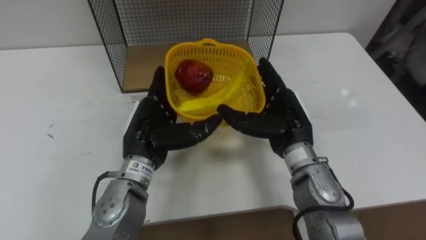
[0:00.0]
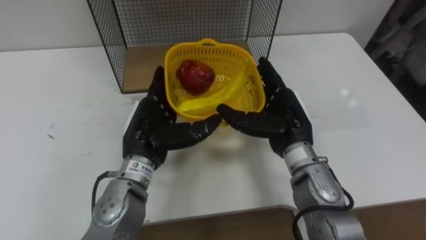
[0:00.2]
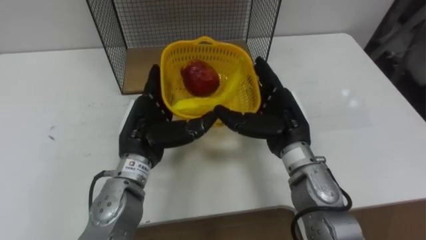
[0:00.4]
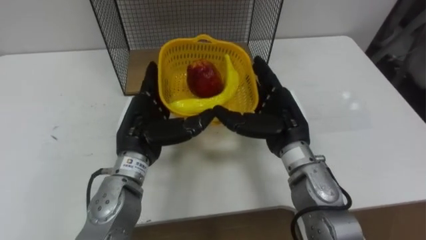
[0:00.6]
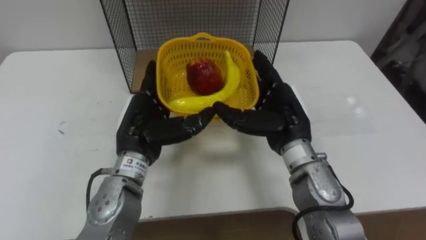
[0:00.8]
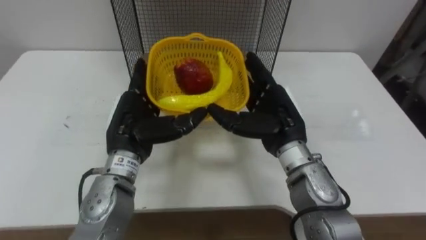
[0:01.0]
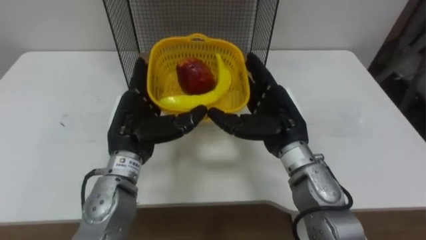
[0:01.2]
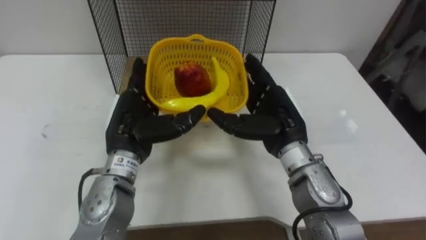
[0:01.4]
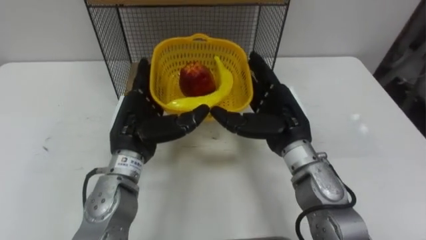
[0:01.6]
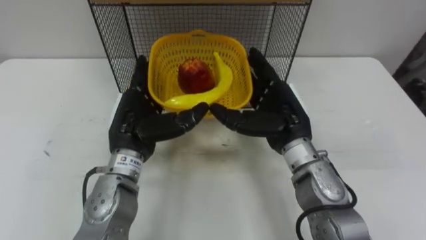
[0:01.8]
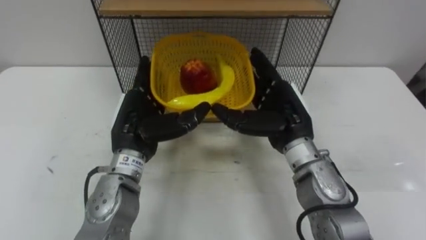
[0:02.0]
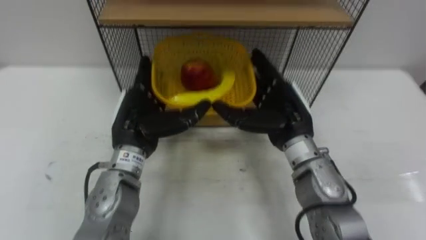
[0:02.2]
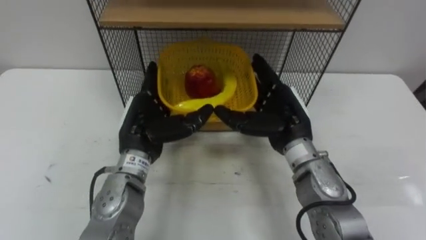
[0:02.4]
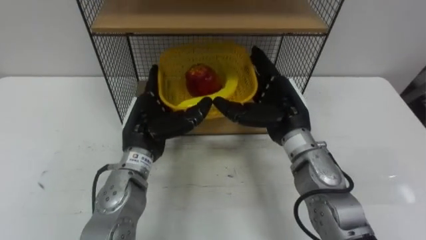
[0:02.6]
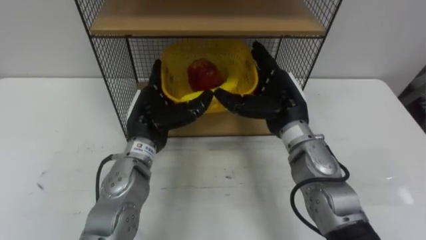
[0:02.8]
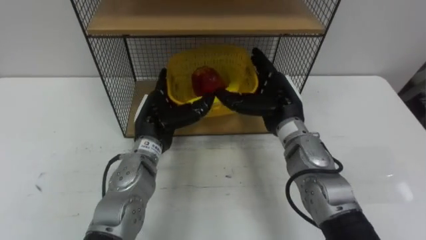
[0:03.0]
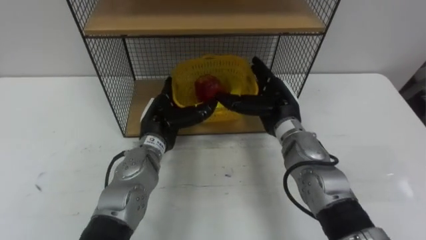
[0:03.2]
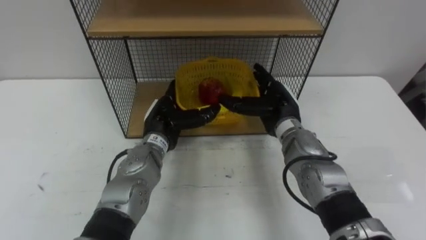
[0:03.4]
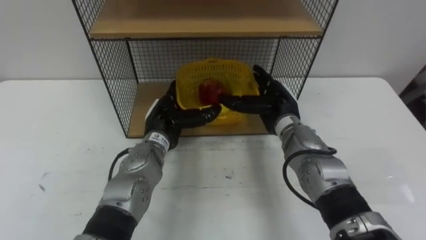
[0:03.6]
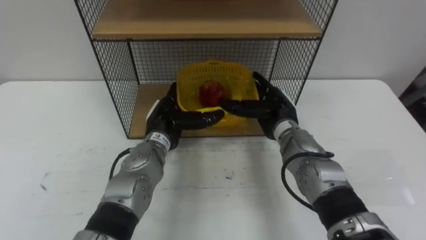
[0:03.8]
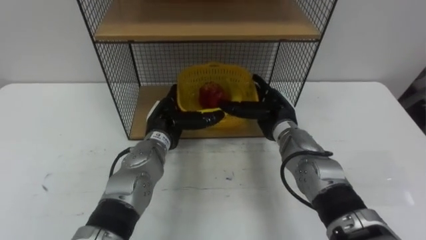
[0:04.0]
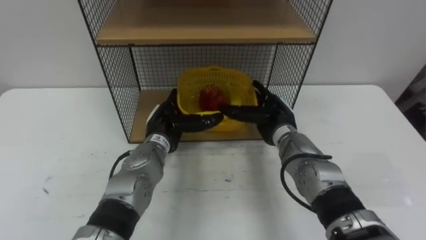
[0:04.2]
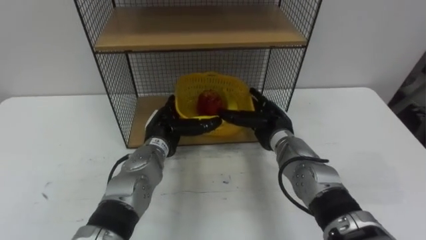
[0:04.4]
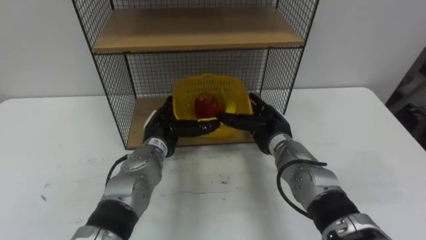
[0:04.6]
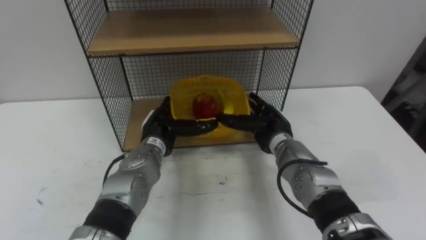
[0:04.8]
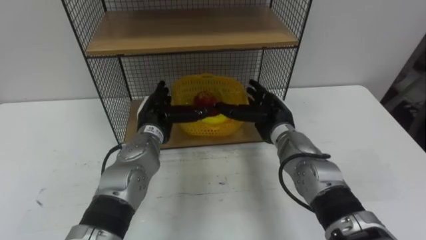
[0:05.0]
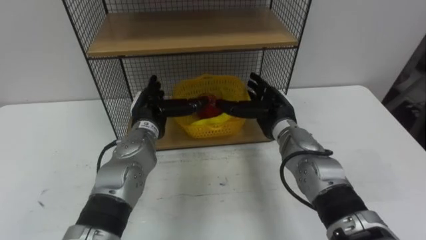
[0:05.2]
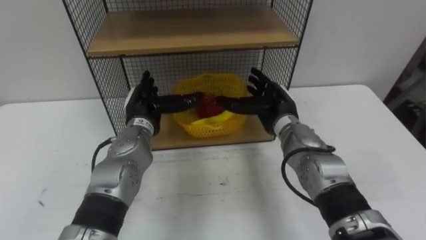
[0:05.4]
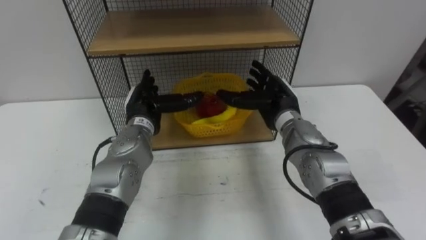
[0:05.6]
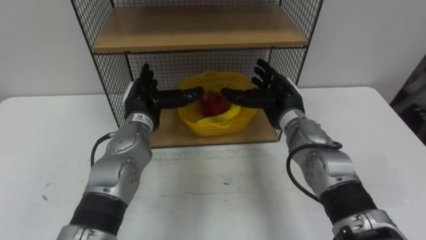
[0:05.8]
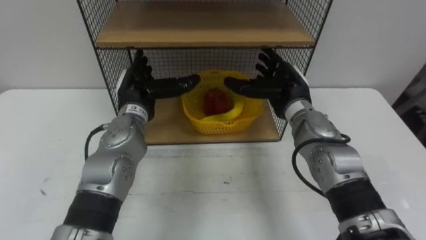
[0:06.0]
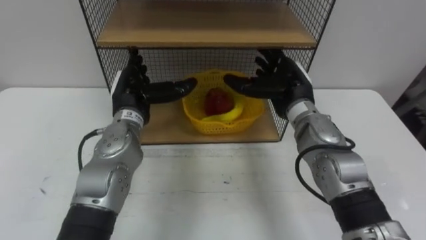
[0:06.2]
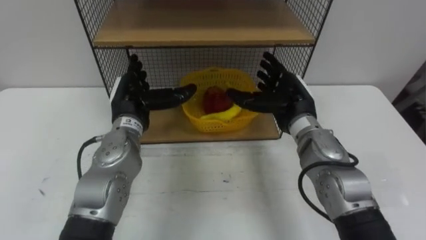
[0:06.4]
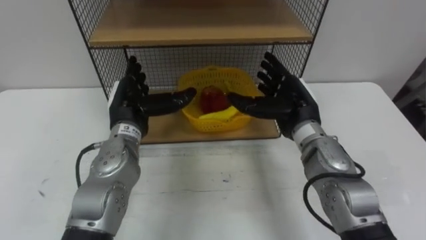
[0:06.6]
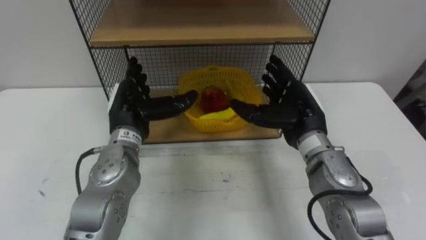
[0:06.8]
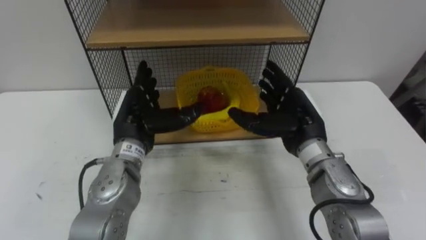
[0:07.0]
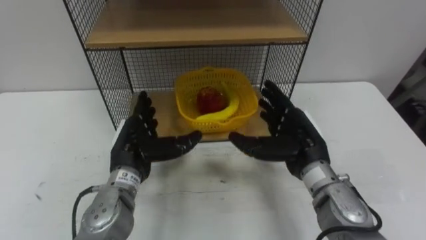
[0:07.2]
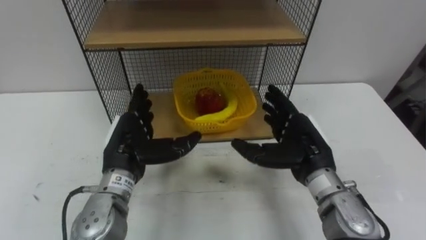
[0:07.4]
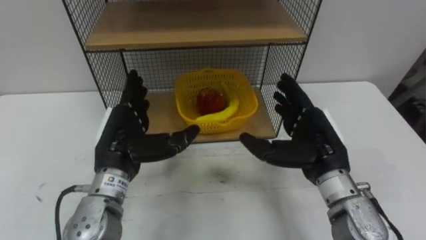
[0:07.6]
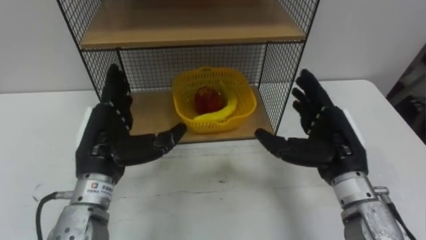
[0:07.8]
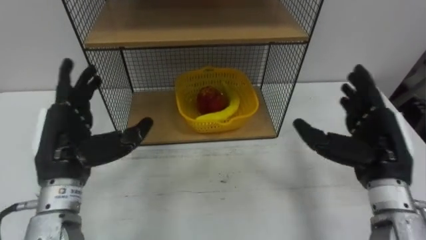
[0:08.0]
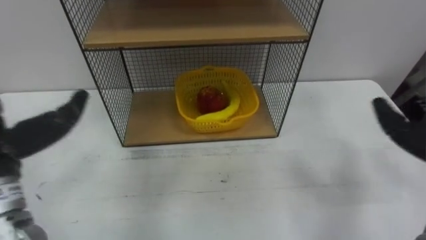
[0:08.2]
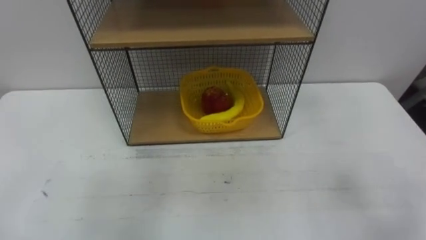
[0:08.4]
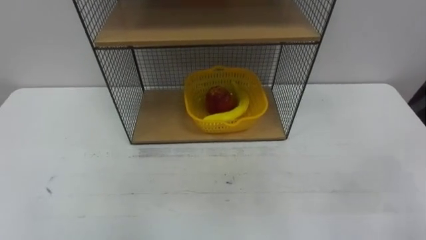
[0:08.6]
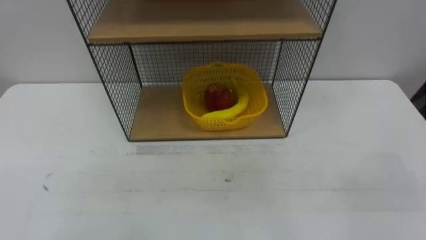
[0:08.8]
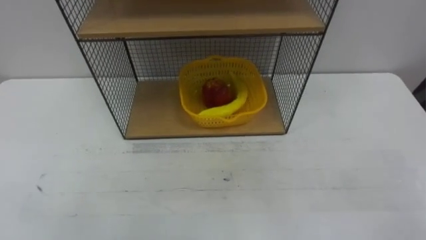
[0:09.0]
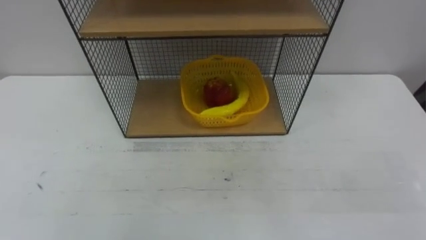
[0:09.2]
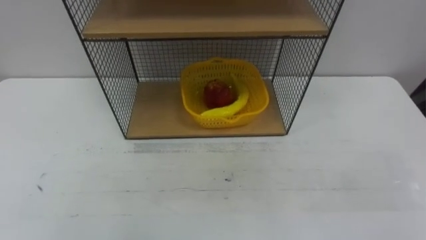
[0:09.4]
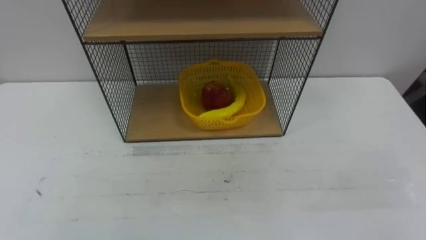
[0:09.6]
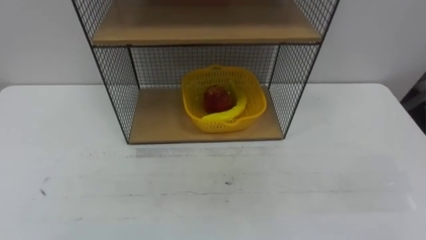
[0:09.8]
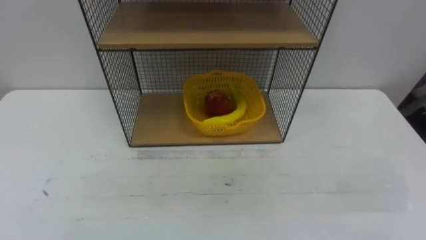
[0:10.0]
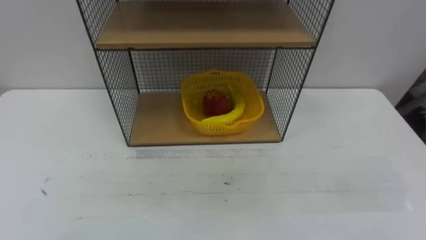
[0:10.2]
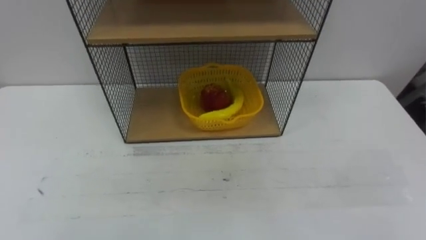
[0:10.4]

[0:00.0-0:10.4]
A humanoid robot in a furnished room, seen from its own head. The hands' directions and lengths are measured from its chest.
Task of the whole recording: Put the fruit on the table into the basket, then place the basket on the shelf.
0:01.4 to 0:03.0: The left hand shifts by some 5 cm.
0:03.0 to 0:04.4: The two hands go roughly 5 cm downward.
0:04.4 to 0:06.0: The hands both shift upward by some 10 cm.
0:06.0 to 0:07.4: The hands both shift backward by approximately 10 cm.

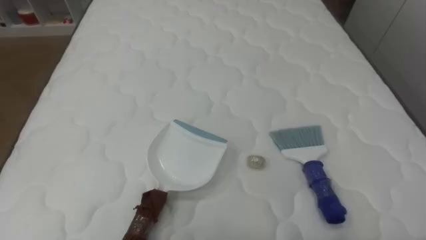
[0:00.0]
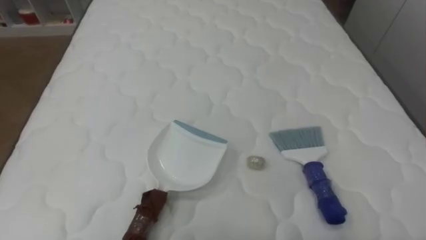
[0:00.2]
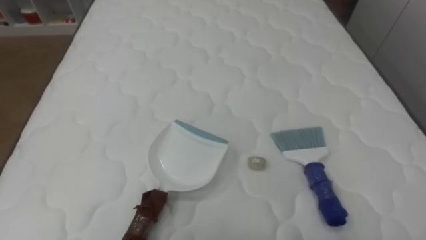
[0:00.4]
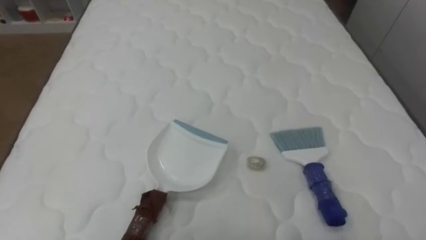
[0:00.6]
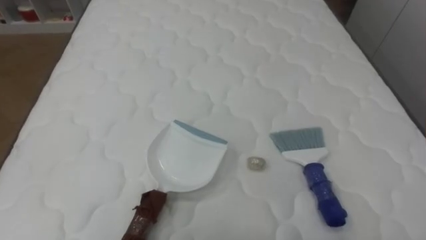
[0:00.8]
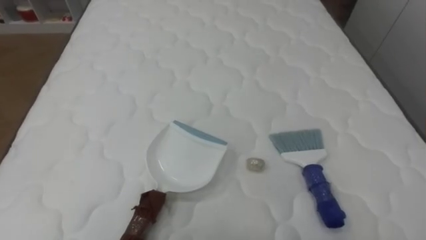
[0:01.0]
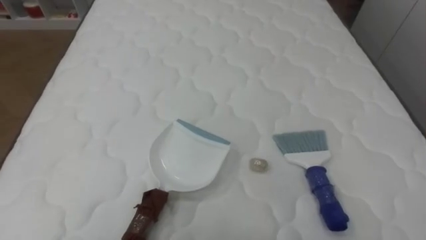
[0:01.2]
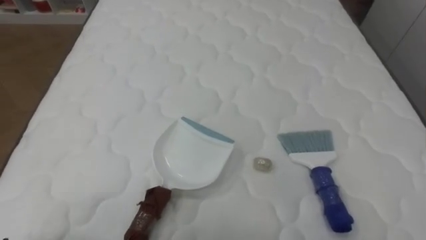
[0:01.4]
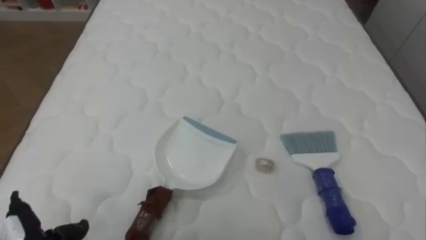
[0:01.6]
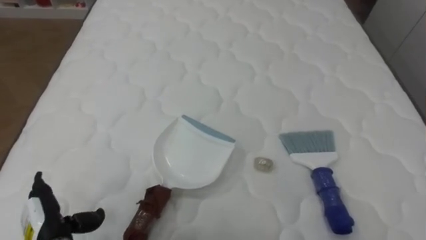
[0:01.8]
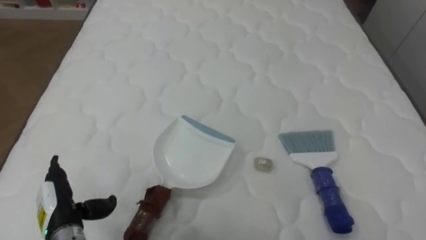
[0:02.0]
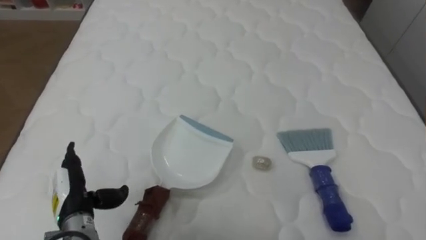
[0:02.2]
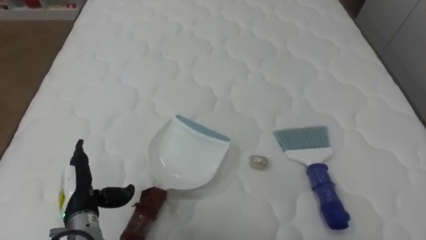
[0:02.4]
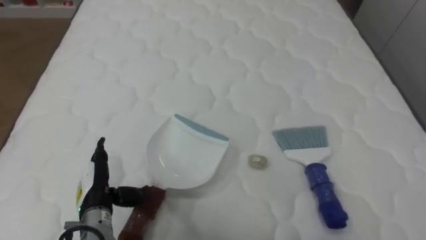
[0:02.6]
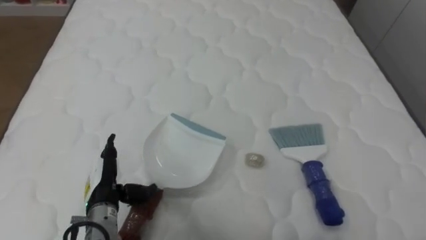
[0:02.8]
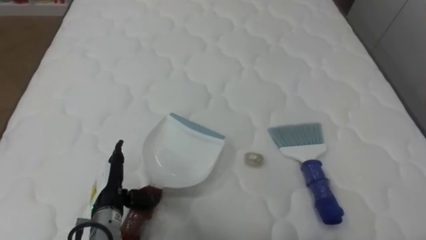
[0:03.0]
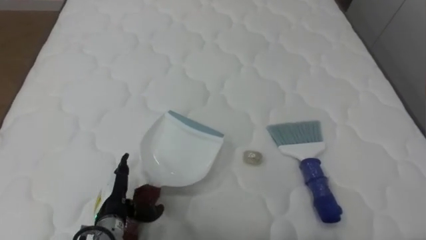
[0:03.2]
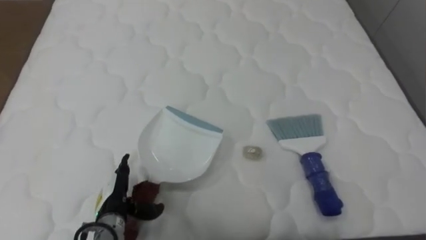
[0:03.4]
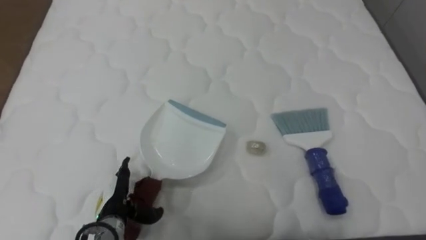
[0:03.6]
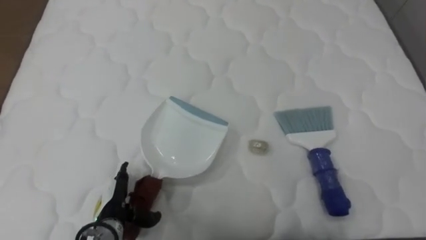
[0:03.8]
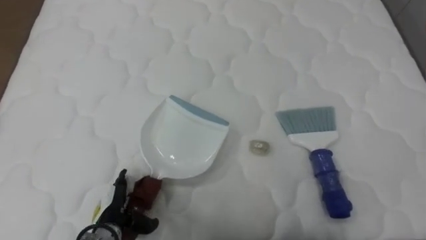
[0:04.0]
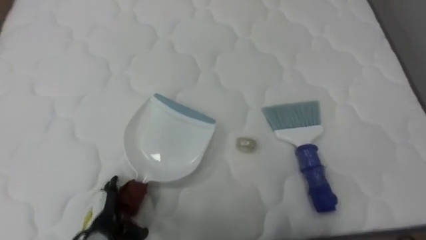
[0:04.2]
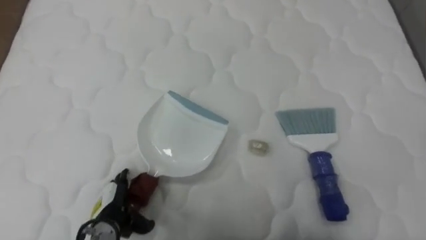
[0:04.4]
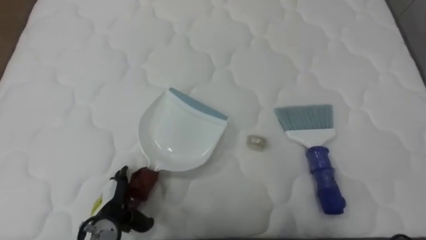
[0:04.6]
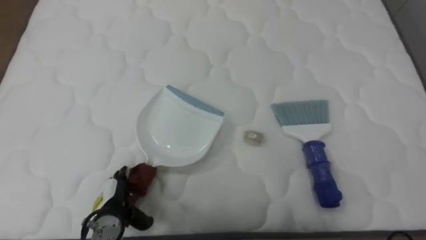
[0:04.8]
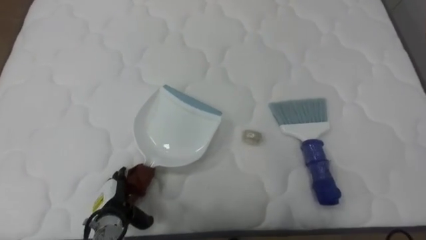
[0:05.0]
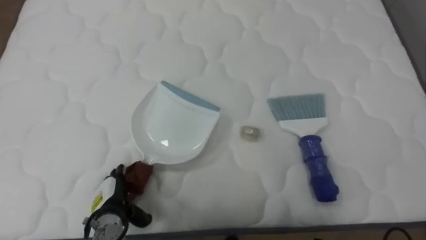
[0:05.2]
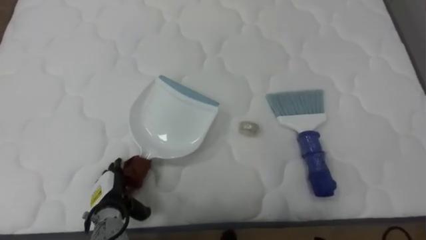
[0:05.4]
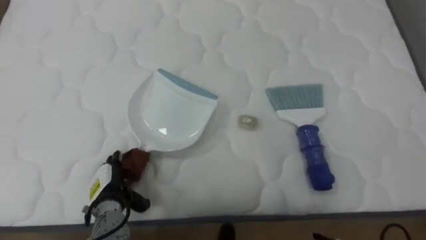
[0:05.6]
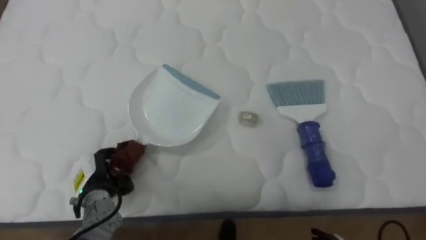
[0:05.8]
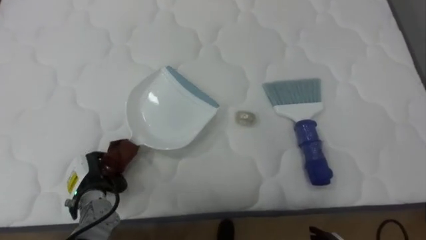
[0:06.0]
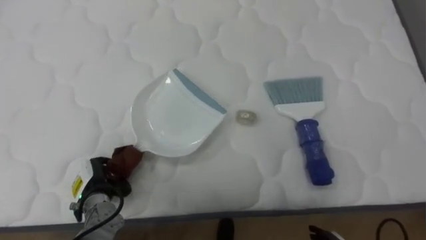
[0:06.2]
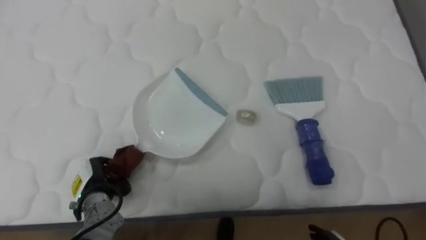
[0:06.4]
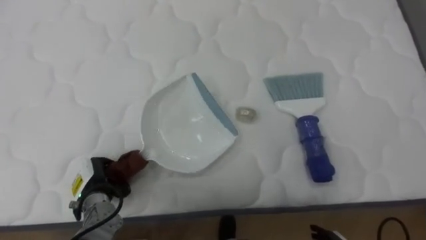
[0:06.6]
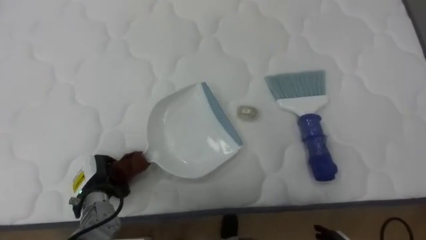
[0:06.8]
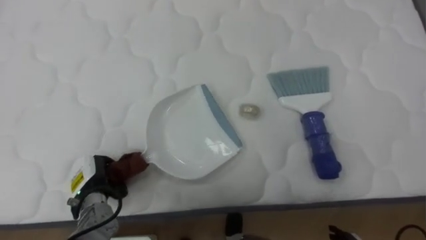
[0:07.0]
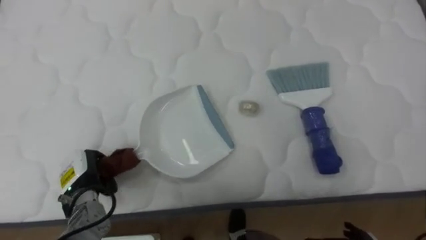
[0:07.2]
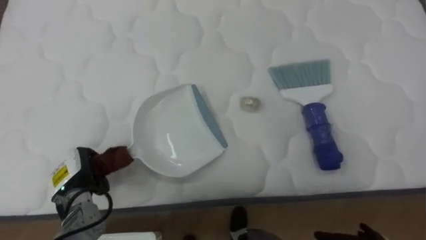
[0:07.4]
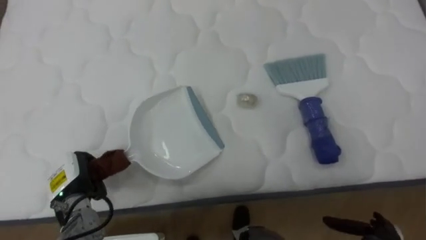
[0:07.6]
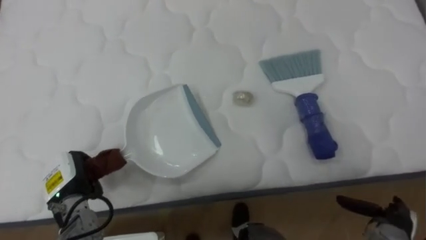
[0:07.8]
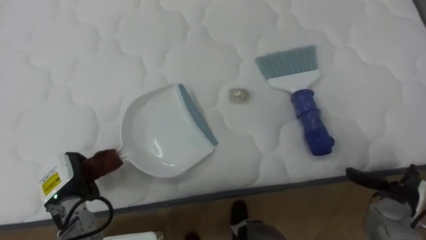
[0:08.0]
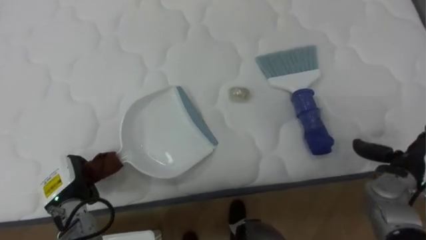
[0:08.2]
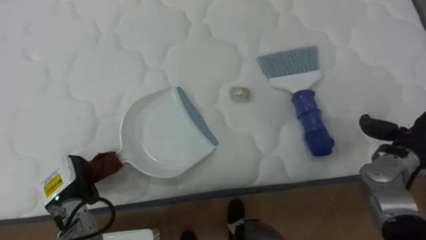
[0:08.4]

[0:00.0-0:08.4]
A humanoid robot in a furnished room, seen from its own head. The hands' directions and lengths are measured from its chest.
Task of the whole recording: Pick up the brush on your right and the dustpan on your left. Use the brush to sweep the crumpled paper on the bed into the dustpan, then turn left and empty it into the basket.
0:02.8 to 0:04.2: The left hand goes about 5 cm downward.
0:04.2 to 0:05.6: The left hand shifts about 5 cm forward.
0:05.6 to 0:07.0: The left hand closes its fingers.
